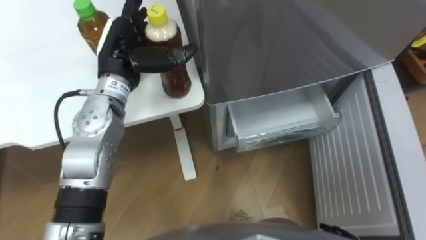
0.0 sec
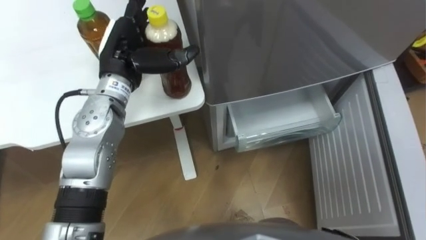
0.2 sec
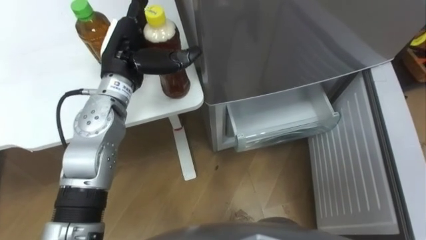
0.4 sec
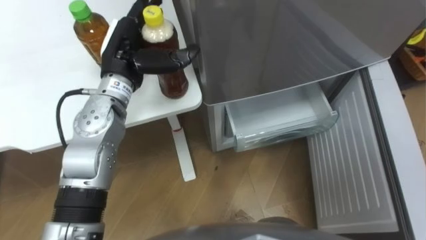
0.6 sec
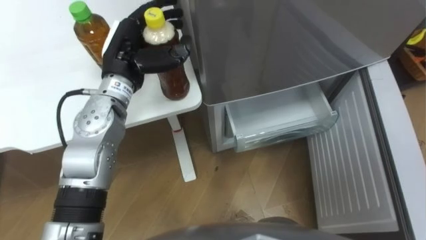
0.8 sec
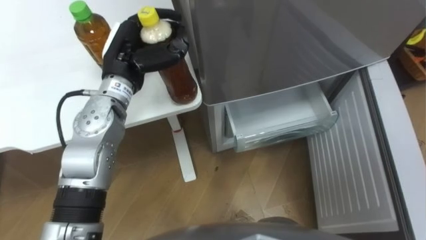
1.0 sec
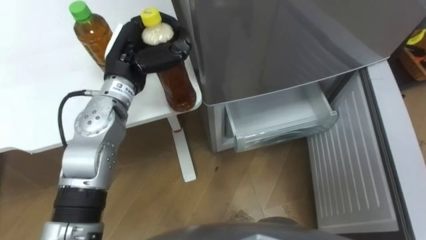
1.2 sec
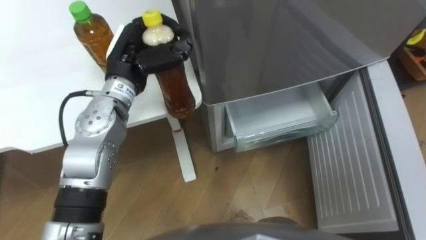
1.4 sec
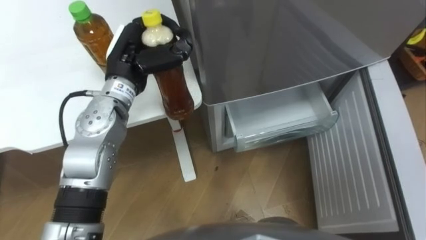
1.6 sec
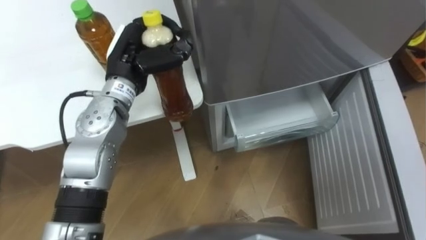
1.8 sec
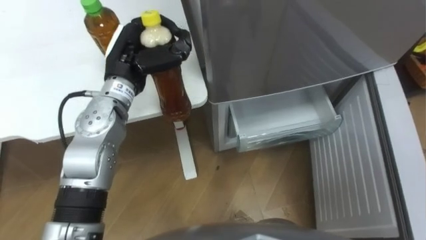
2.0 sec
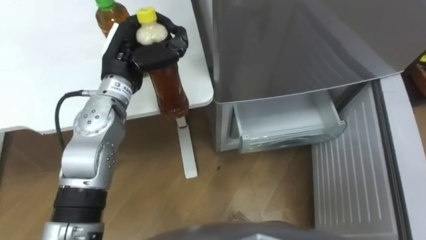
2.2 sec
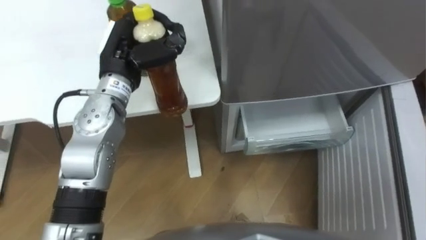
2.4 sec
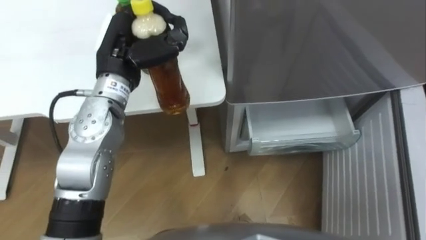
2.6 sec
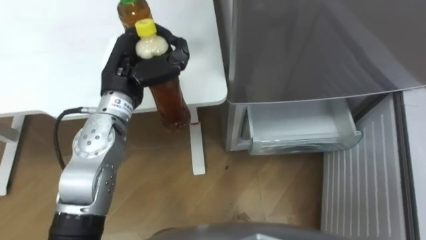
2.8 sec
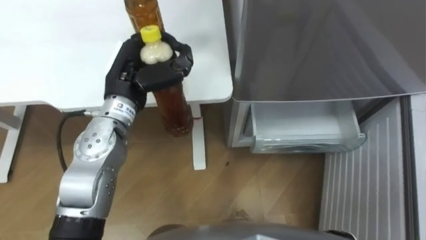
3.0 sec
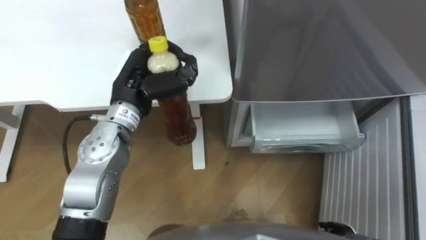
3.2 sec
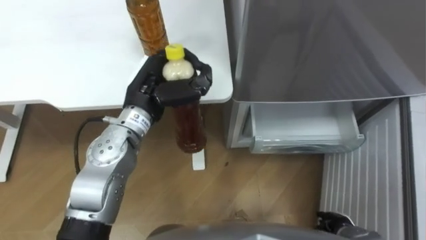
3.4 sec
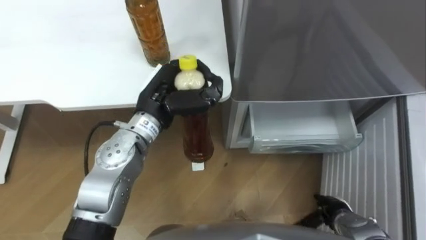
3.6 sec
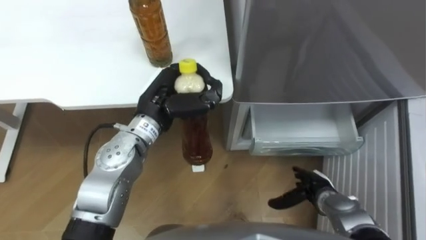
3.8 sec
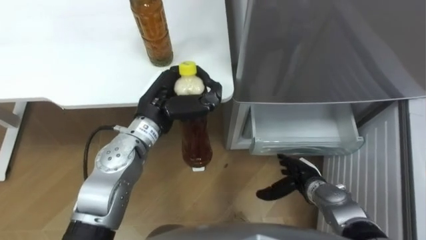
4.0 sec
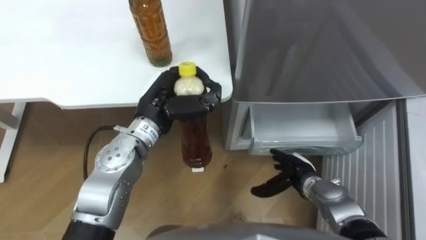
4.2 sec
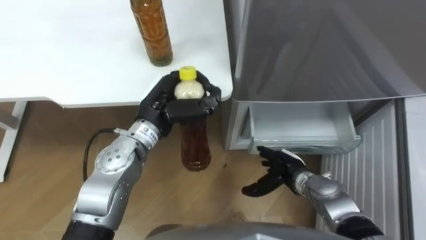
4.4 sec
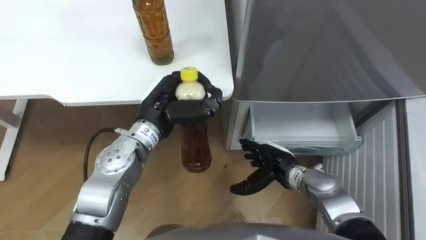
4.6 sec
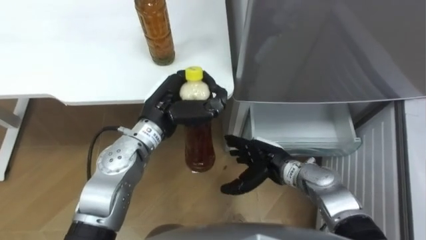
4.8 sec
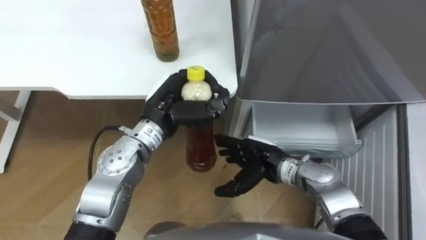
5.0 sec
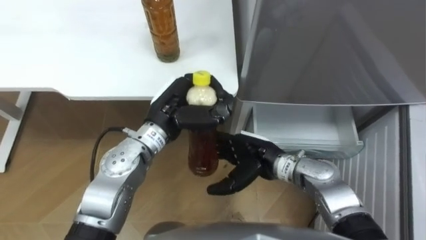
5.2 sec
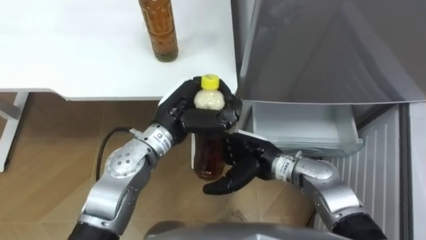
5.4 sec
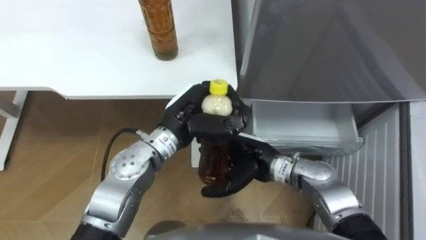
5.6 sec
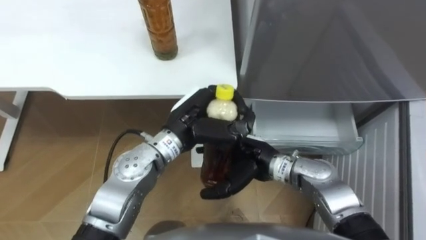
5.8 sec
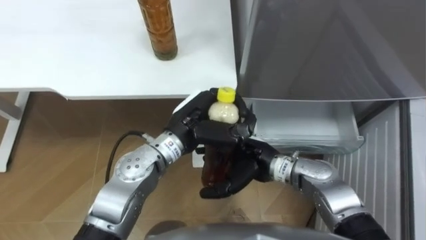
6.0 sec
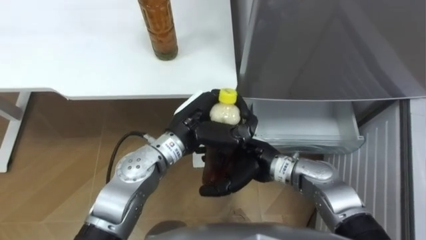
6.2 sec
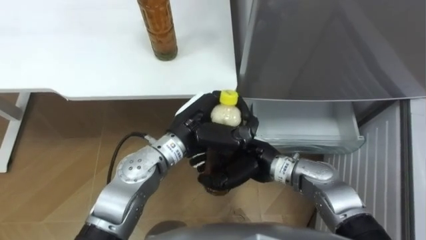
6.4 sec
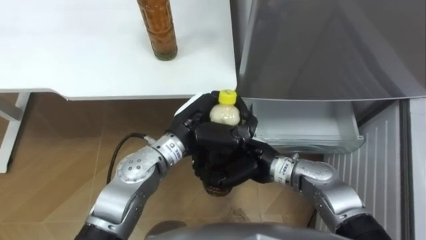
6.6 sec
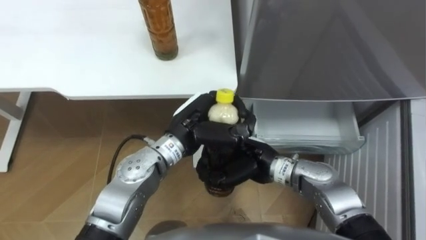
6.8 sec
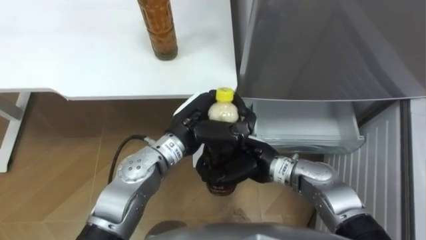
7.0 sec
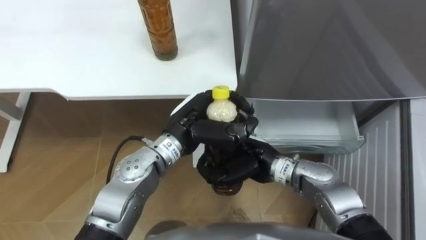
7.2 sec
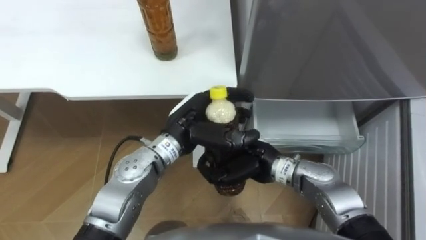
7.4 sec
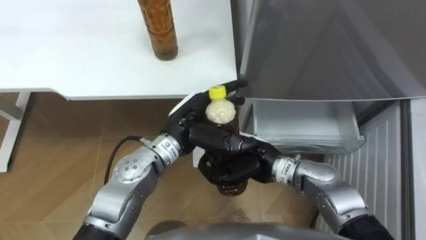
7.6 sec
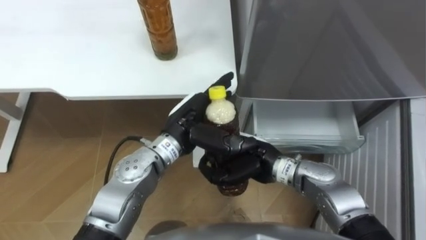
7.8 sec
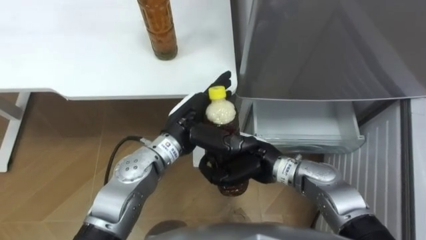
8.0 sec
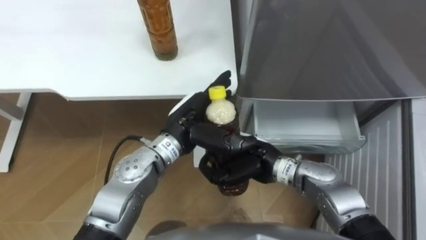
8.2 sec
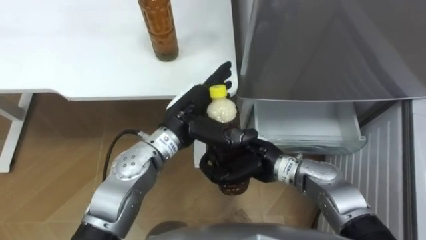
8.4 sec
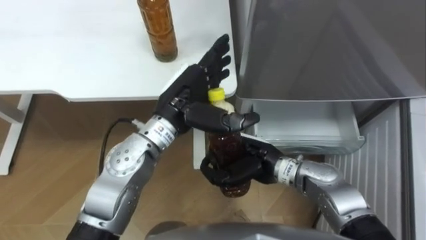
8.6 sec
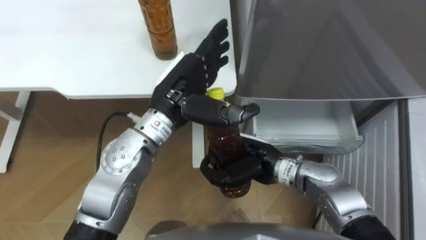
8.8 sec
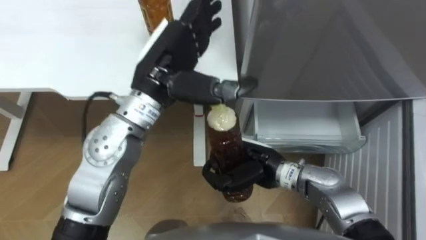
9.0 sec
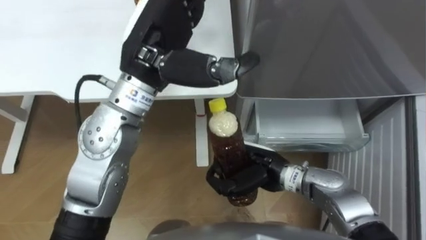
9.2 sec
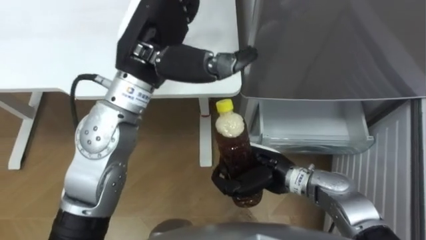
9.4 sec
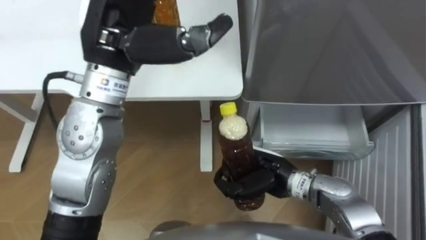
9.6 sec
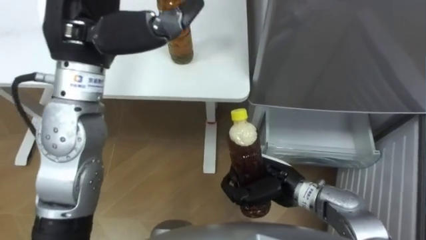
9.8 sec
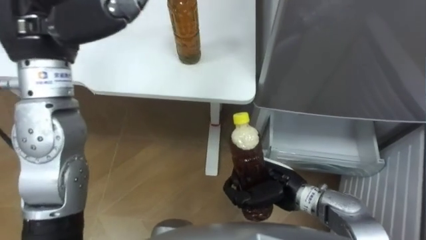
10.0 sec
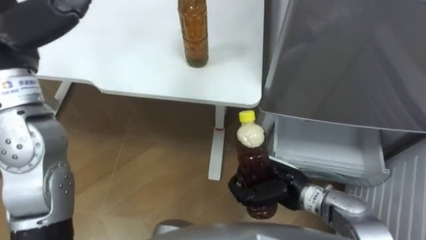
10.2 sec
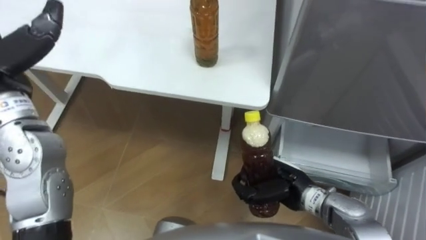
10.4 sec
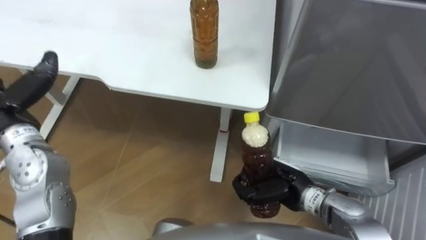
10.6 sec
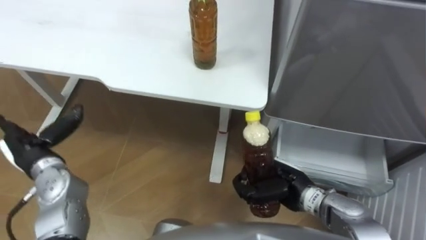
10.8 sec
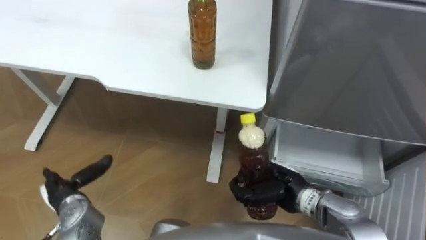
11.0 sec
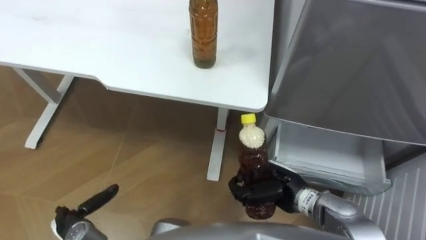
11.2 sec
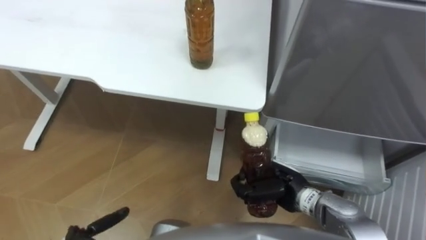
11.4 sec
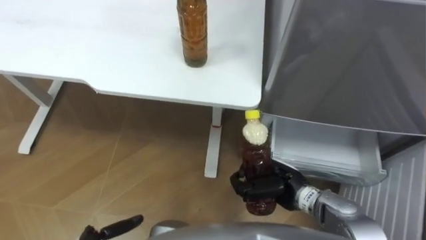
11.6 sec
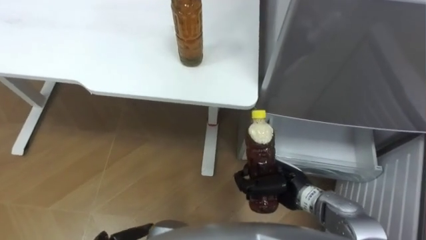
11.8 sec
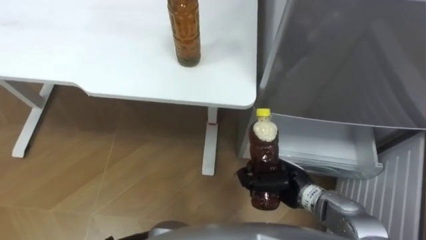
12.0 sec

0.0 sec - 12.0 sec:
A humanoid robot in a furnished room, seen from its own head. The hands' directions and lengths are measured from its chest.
Task of the whole recording: Place the drink on the table on the bottom shelf of the refrigerator, then close the drawer and the refrigerator door.
0.0 sec - 1.6 sec: The left hand closes up.
3.0 sec - 4.4 sec: The left hand moves downward, approximately 5 cm.
4.4 sec - 6.0 sec: The right hand moves to the left and upward, about 15 cm. Meanwhile the left hand heads to the right, covering roughly 5 cm.
6.0 sec - 7.6 sec: The right hand closes its fingers, while the left hand opens its fingers.
7.6 sec - 9.0 sec: The left hand shifts roughly 15 cm upward.
9.0 sec - 10.4 sec: The right hand moves to the right, approximately 5 cm.

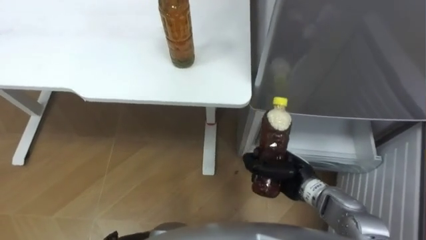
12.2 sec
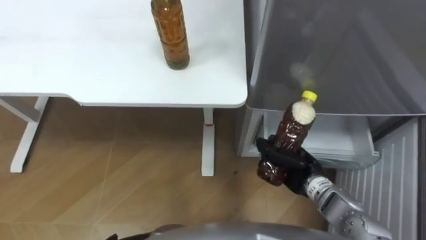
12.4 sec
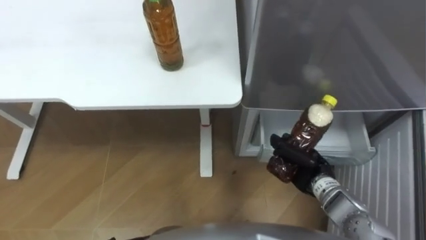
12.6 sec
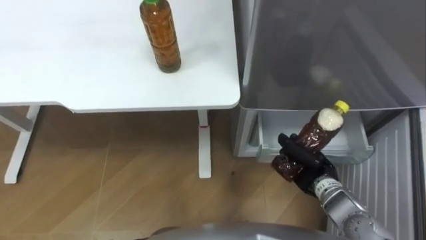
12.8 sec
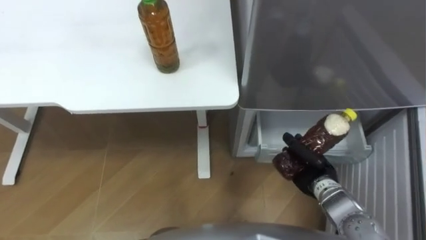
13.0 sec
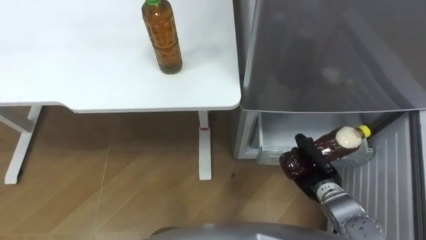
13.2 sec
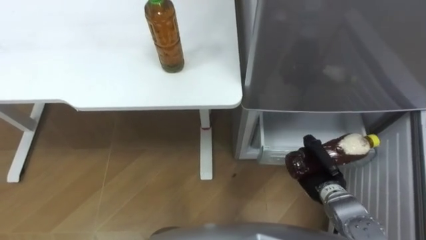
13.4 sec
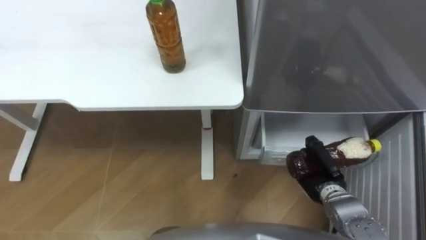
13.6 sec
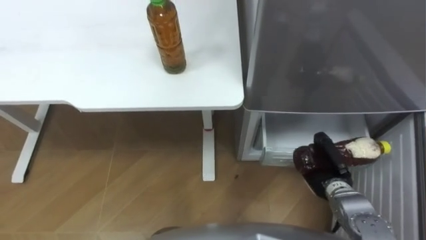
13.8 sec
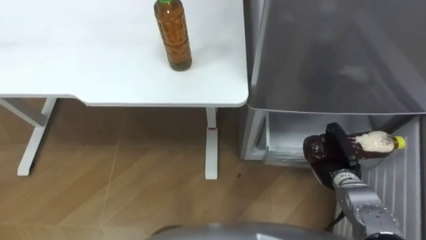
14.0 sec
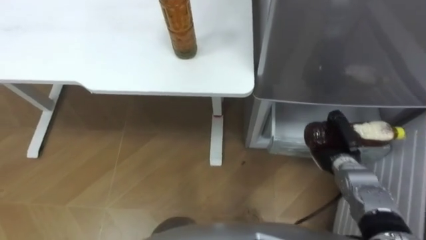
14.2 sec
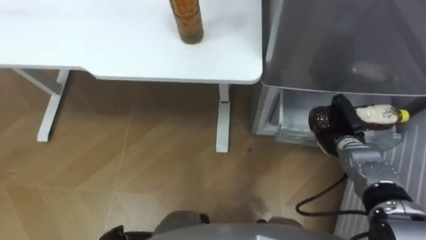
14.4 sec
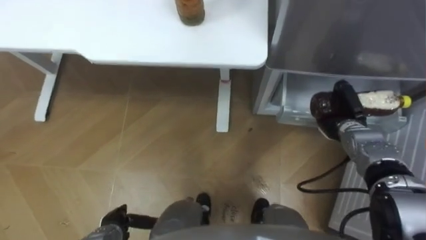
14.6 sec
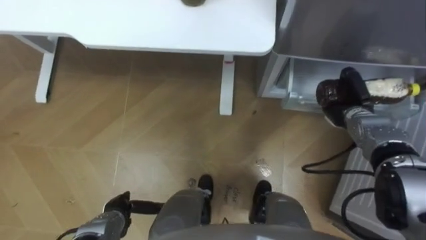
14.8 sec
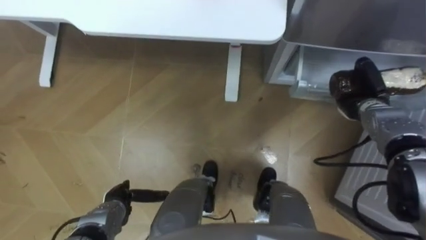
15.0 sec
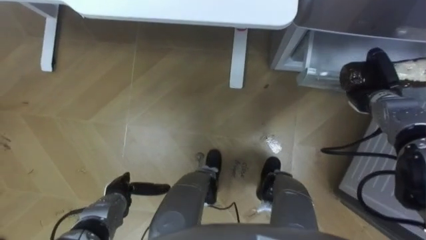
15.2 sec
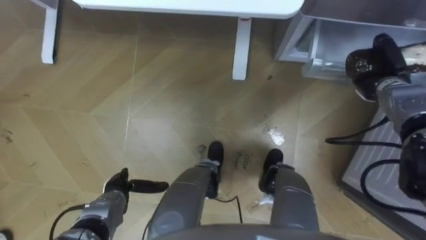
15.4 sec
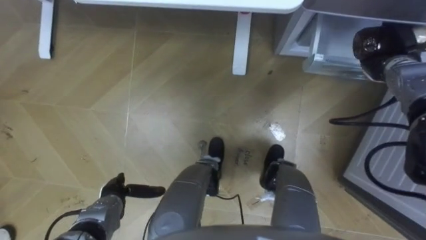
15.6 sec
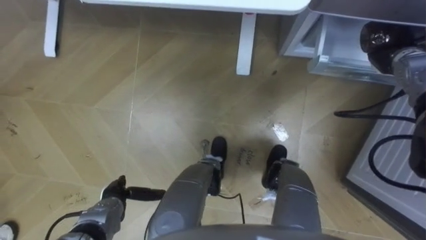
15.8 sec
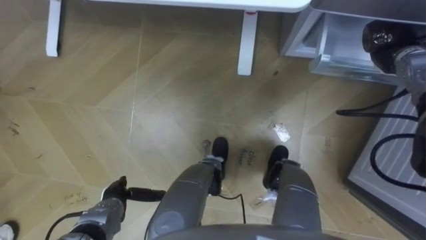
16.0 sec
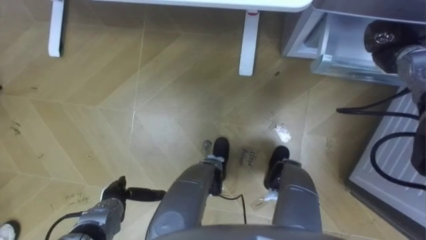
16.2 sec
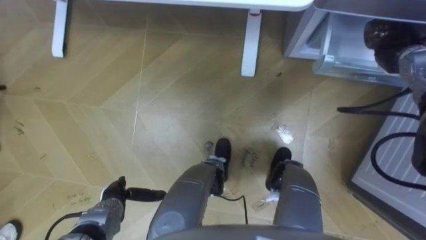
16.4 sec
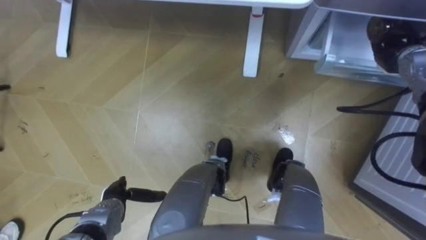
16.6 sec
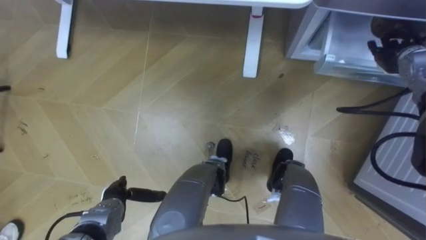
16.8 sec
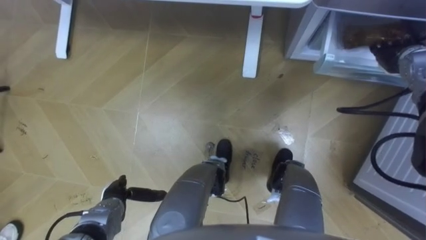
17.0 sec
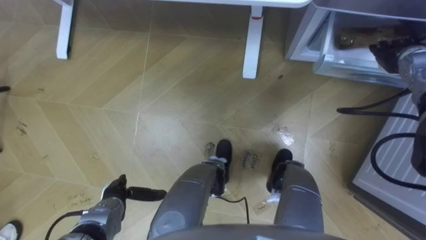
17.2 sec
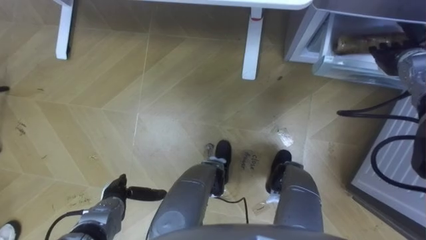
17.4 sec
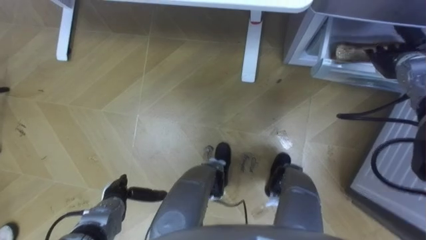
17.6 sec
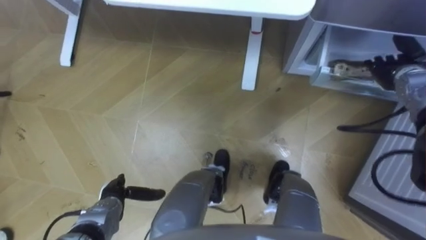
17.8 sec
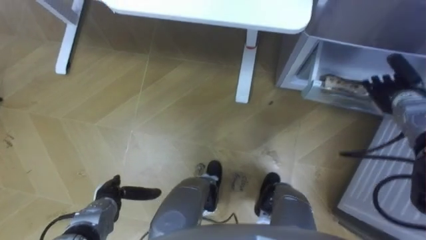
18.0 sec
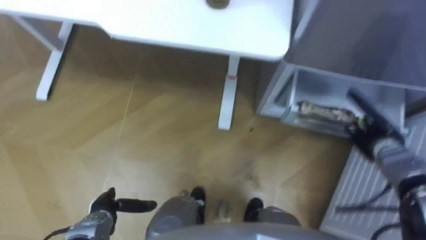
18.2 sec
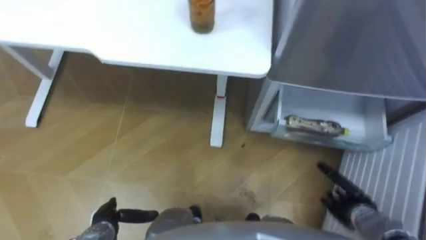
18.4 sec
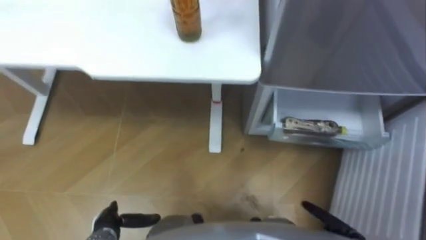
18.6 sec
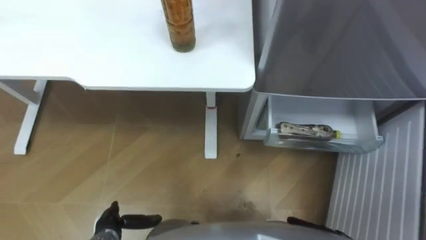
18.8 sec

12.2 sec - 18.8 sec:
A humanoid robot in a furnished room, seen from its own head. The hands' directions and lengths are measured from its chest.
Task of the whole recording: Place the drink on the table on the bottom shelf of the refrigerator, then close the drawer and the refrigerator door.
12.2 sec - 13.8 sec: The right hand moves to the right, some 10 cm.
13.8 sec - 15.4 sec: The right hand heads forward, upward and to the right, covering roughly 25 cm.
15.4 sec - 17.2 sec: The right hand is displaced upward by approximately 5 cm, and opens.
17.2 sec - 18.8 sec: The left hand moves backward, some 5 cm.
